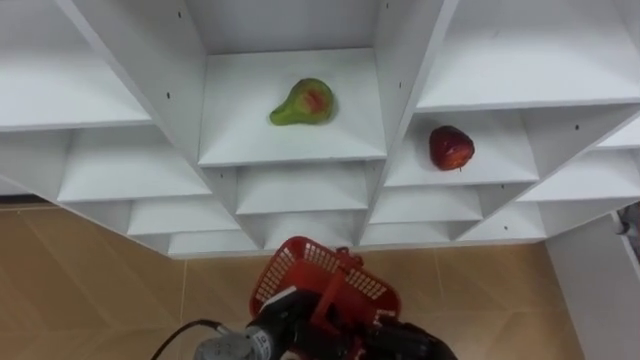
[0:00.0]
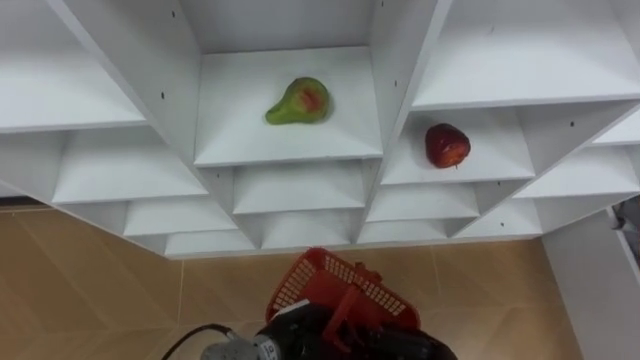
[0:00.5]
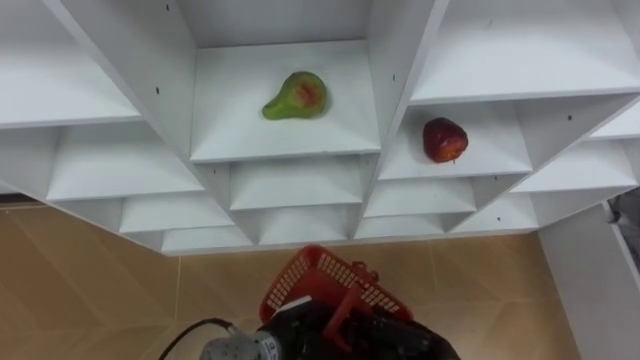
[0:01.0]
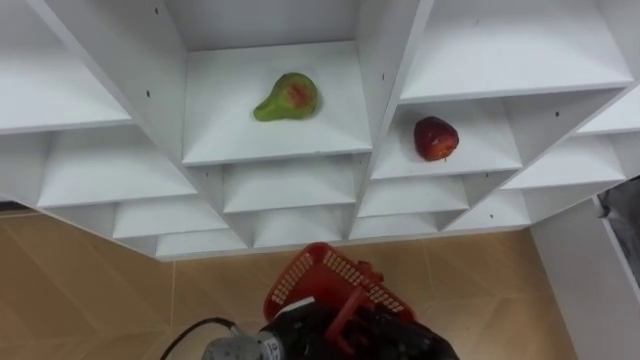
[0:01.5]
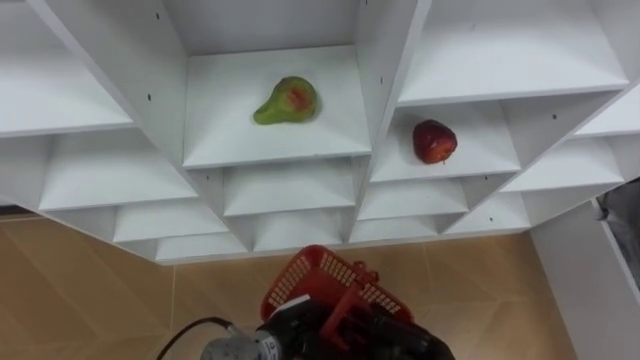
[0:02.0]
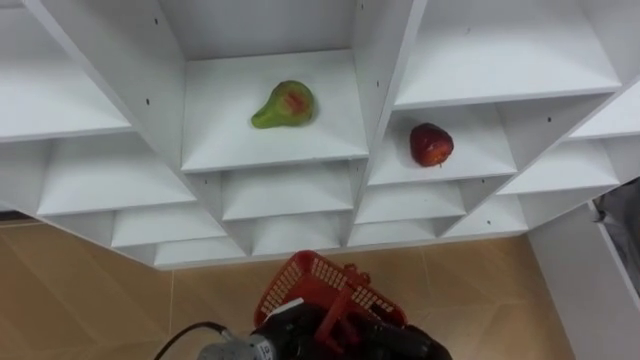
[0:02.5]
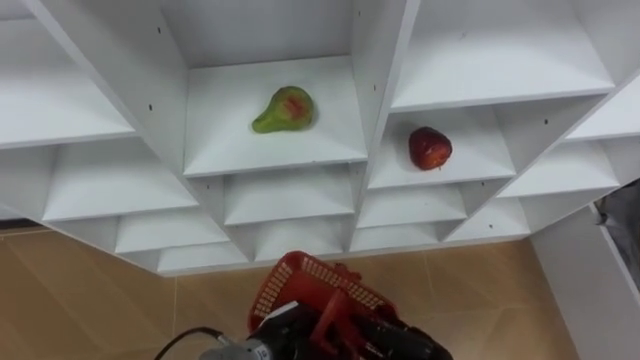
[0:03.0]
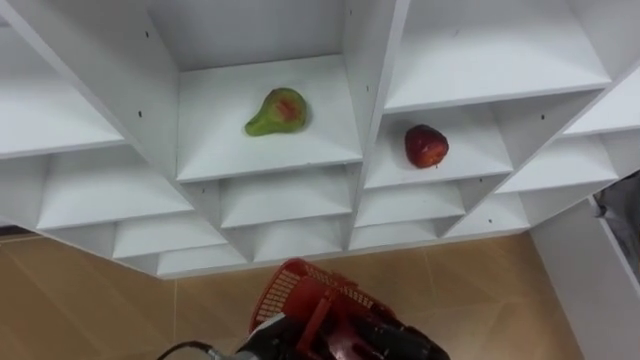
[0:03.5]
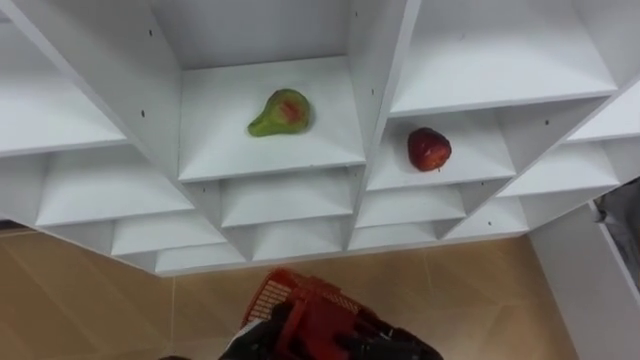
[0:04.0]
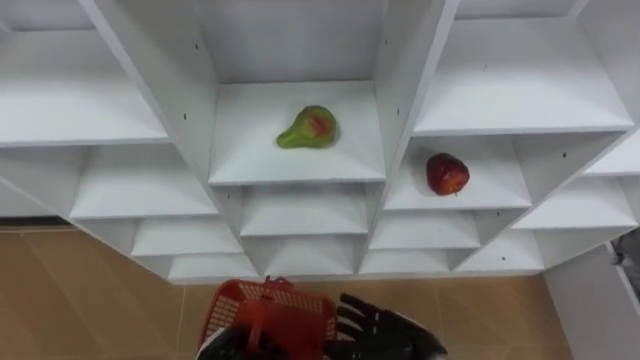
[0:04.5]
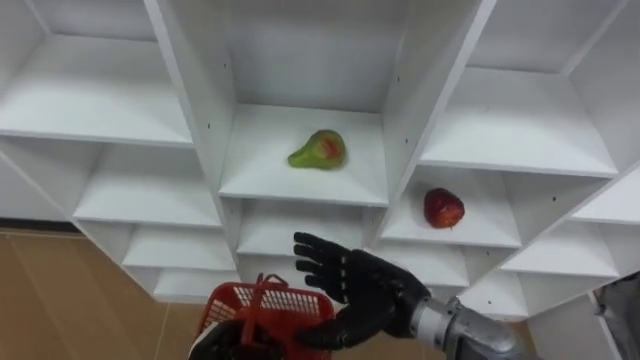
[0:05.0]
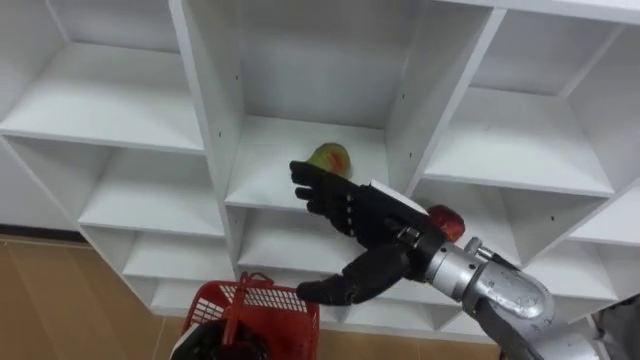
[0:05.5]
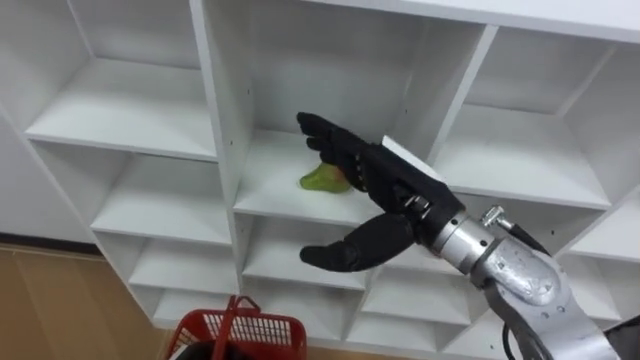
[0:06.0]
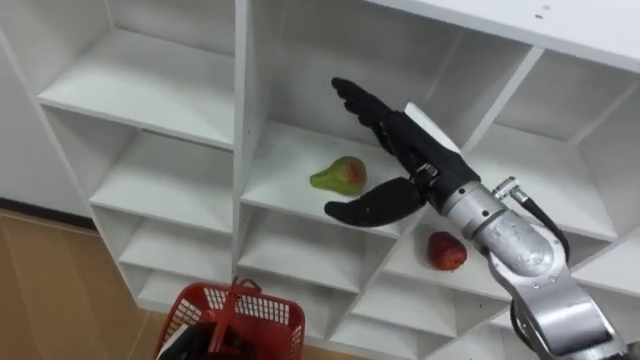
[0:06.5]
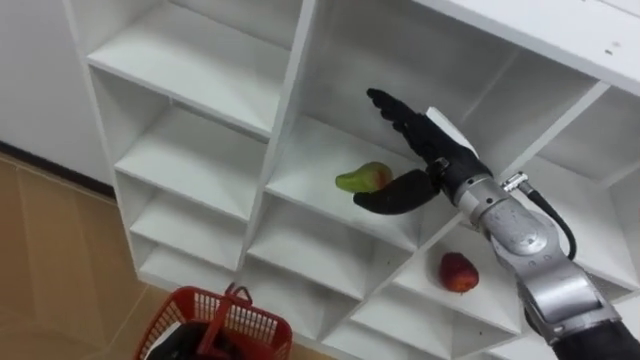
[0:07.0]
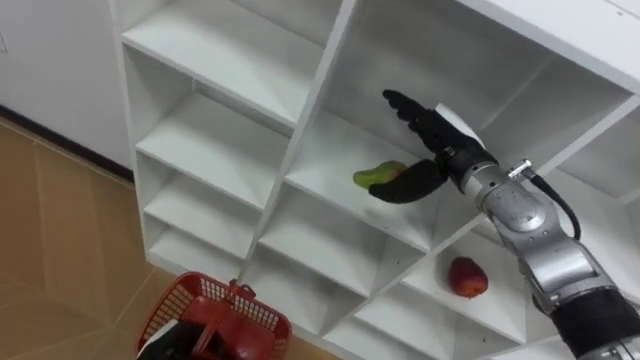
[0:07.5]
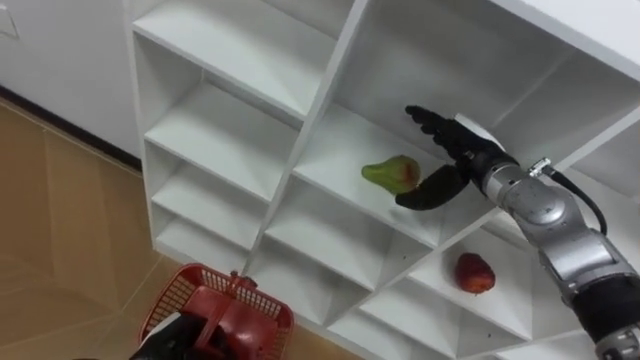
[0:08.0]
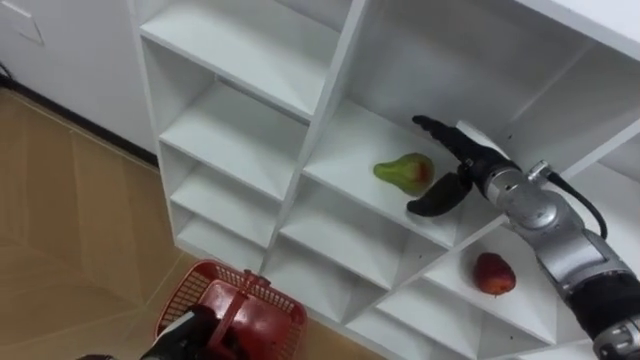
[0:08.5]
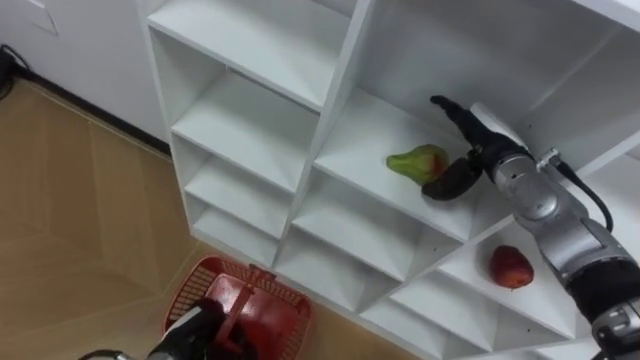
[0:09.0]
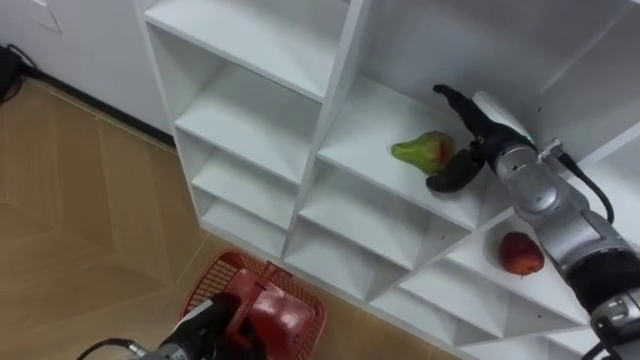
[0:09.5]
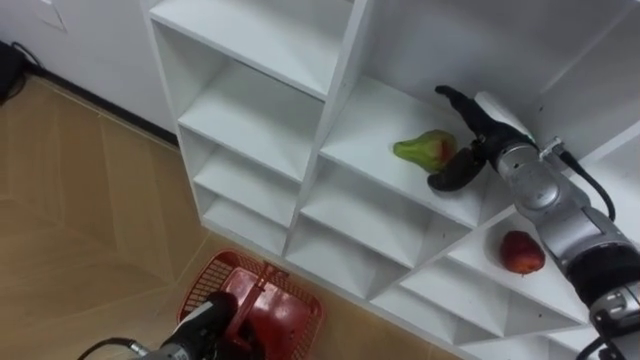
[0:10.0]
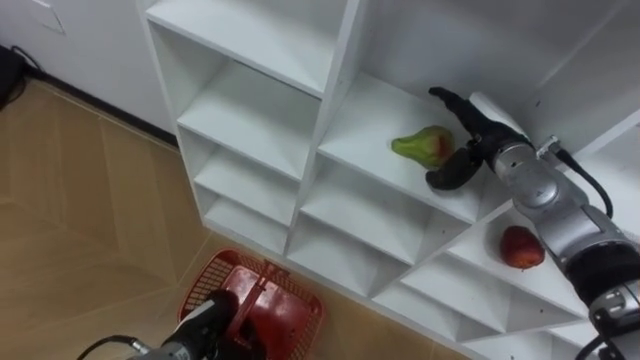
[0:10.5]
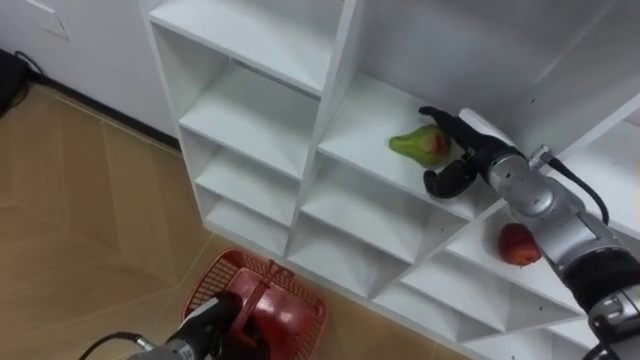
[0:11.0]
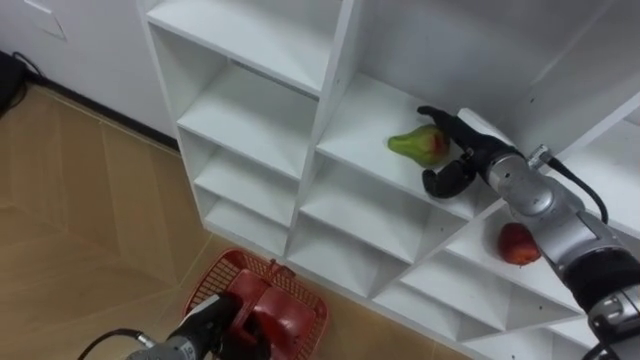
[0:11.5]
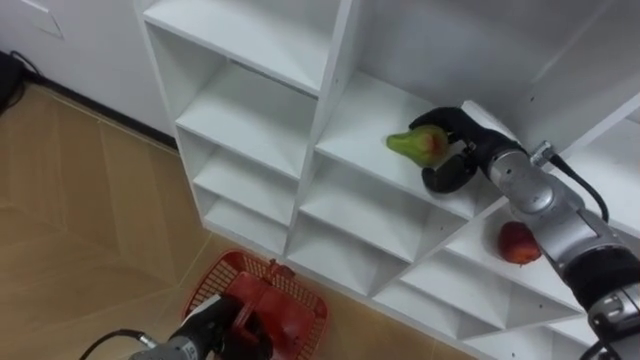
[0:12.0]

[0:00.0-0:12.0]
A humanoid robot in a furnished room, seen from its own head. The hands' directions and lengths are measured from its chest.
Task of the whole recording: Hold the basket and collect the fruits from 3 different cells of the closet into it.
0:00.0 to 0:02.0: The right hand opens up.
0:02.0 to 0:04.0: The left hand goes approximately 5 cm to the left.
0:06.0 to 0:08.0: The right hand shifts some 15 cm forward, to the right and downward.
0:10.0 to 0:12.0: There are only small adjustments of the hands.

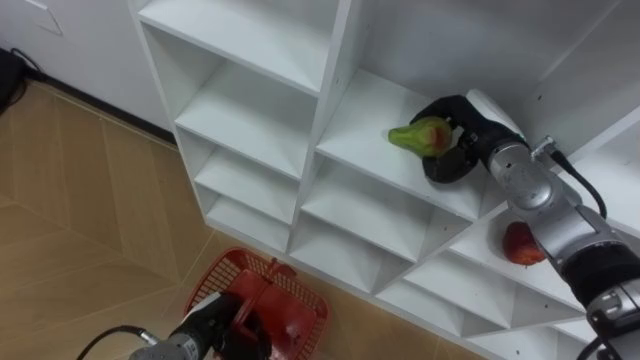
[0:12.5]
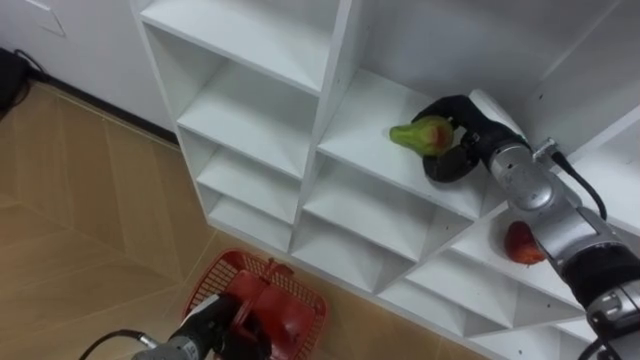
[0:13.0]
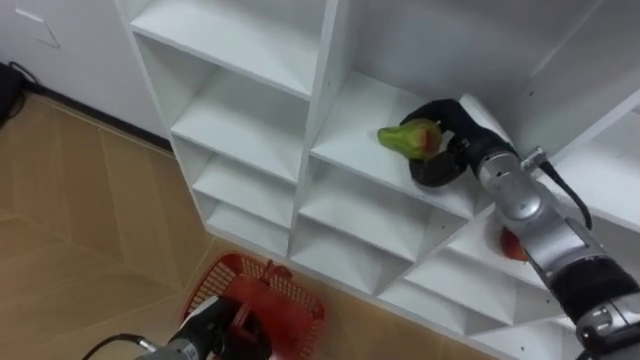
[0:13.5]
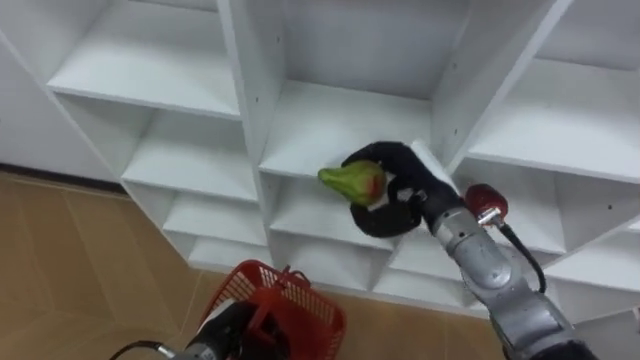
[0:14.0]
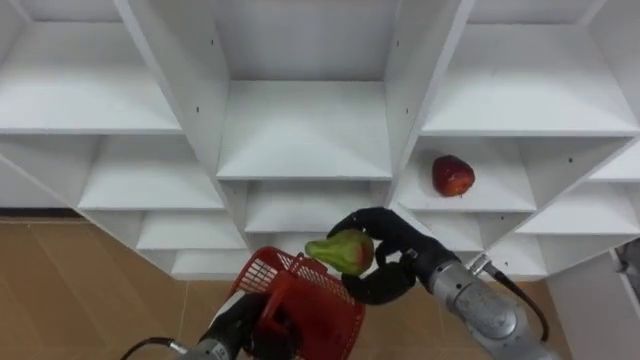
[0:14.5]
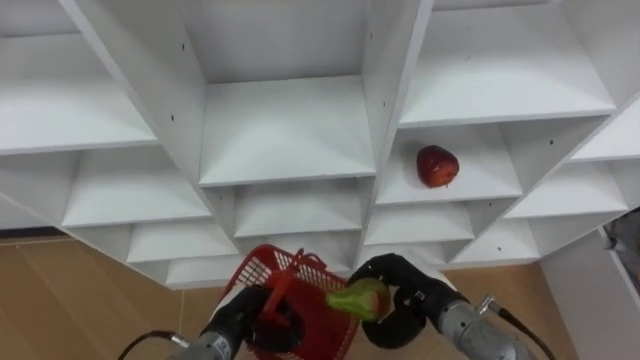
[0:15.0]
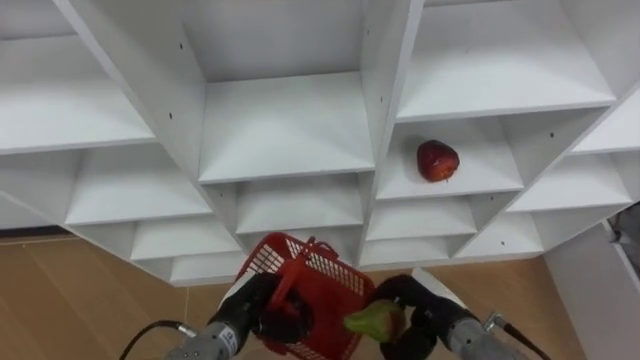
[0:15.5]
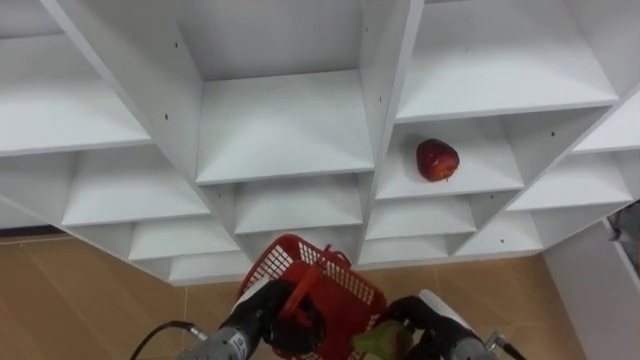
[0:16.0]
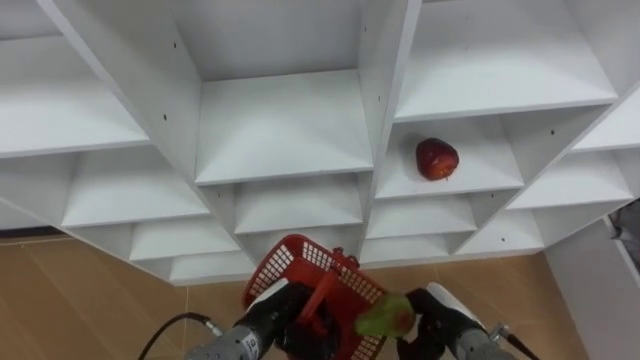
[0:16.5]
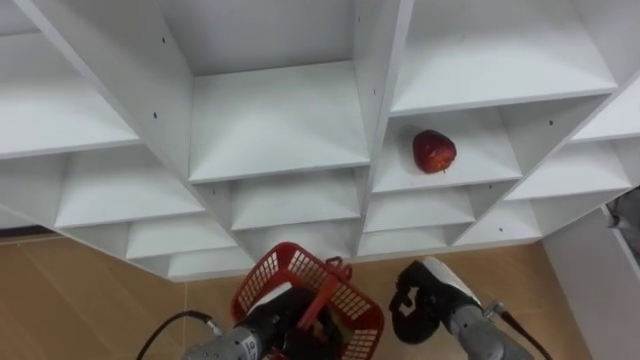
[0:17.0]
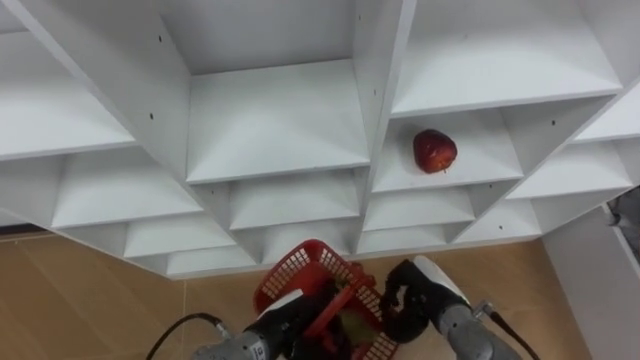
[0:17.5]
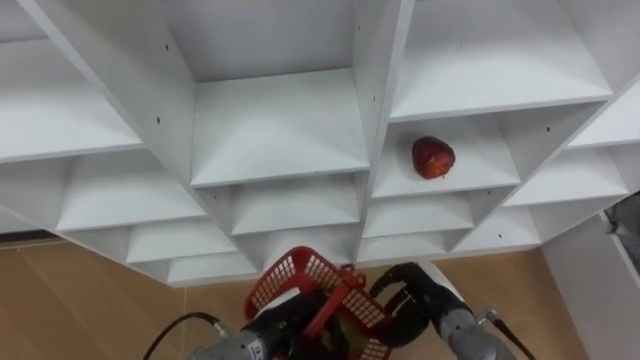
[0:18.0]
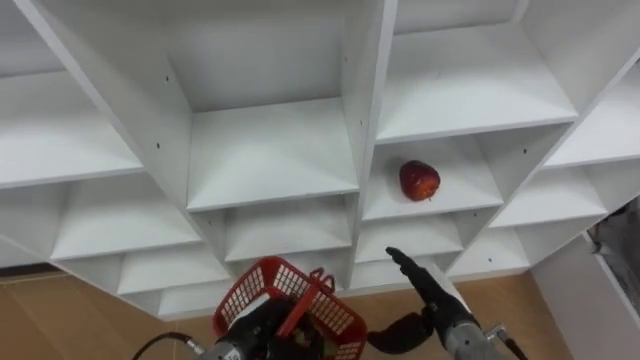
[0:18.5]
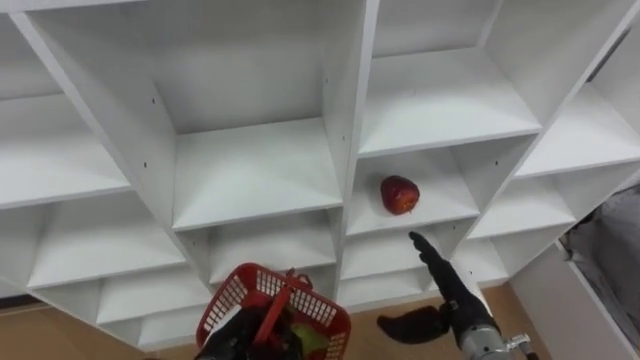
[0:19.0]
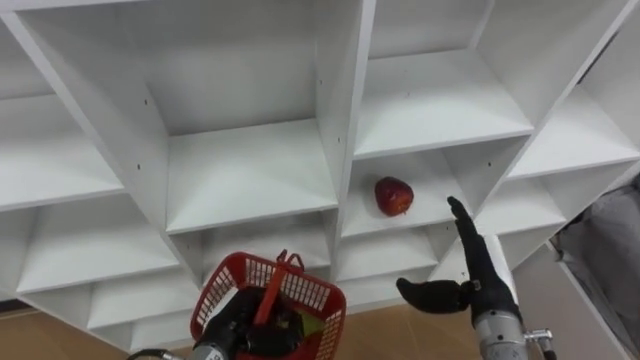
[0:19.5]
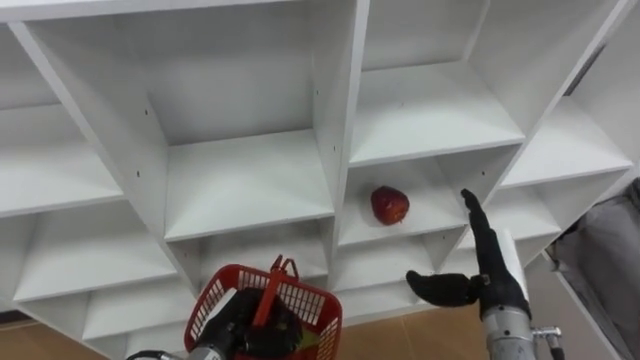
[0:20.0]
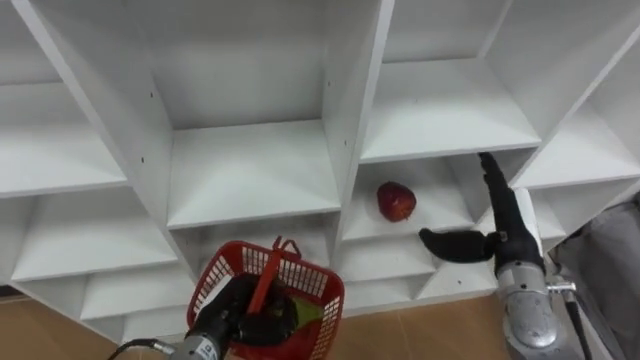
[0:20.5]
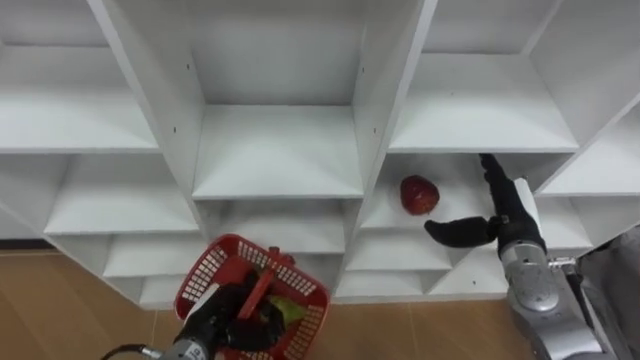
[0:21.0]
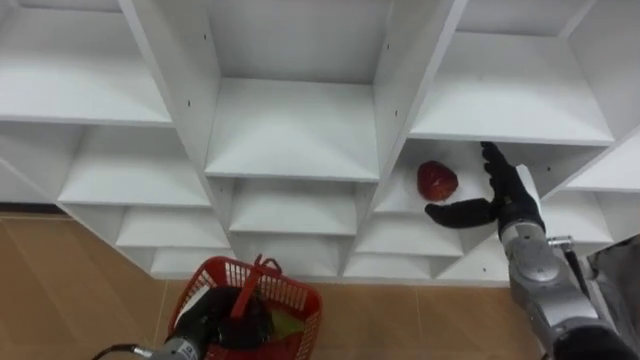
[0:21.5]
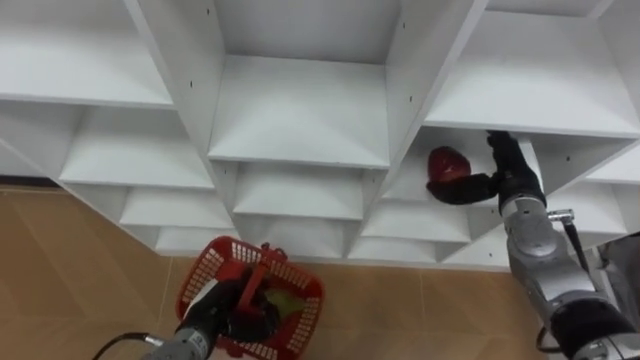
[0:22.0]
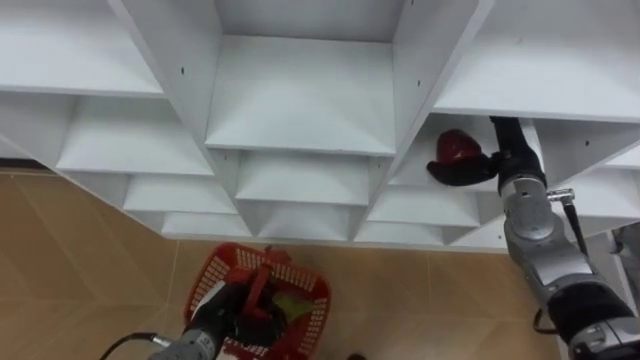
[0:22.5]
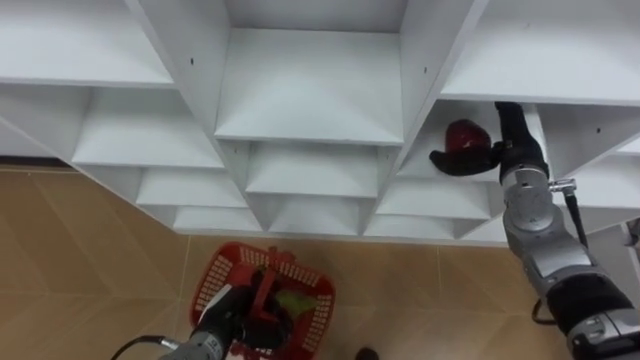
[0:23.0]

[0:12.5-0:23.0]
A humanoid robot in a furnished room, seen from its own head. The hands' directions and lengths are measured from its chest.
Task of the whole recording: Hold the basket and collect the fruits from 3 different cells of the closet into it.
0:12.5 to 0:14.5: The right hand shifts approximately 15 cm backward, to the left and downward.
0:14.5 to 0:16.5: The right hand travels downward, backward and to the right by roughly 15 cm; the left hand moves to the right, some 5 cm.
0:16.5 to 0:19.0: The left hand heads to the left, covering roughly 5 cm, while the right hand goes about 5 cm upward, and opens up.
0:19.0 to 0:21.0: The right hand is displaced forward, to the right and upward by about 15 cm.
0:21.0 to 0:23.0: The right hand heads forward and upward, covering approximately 10 cm.
